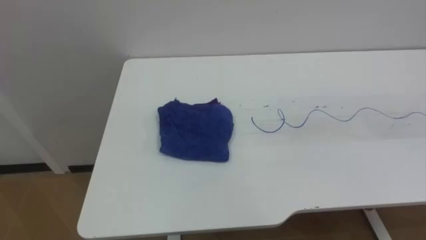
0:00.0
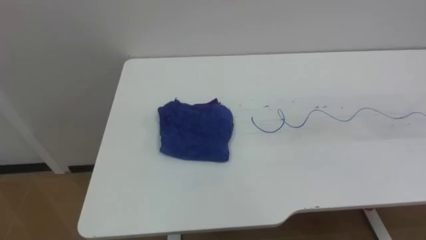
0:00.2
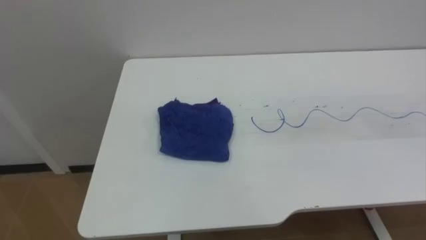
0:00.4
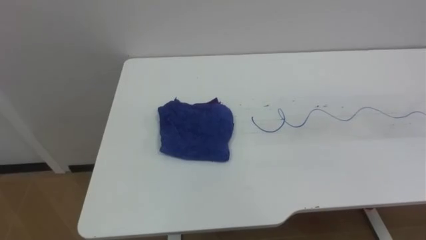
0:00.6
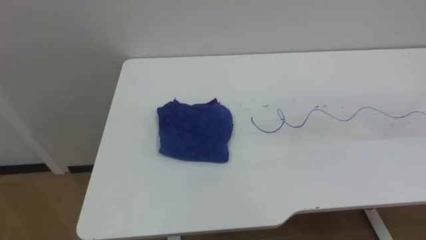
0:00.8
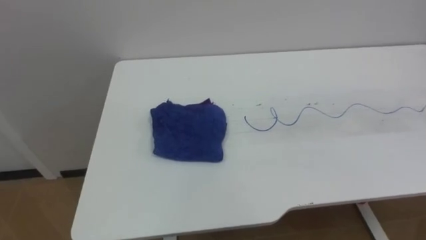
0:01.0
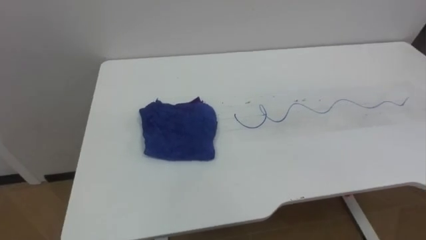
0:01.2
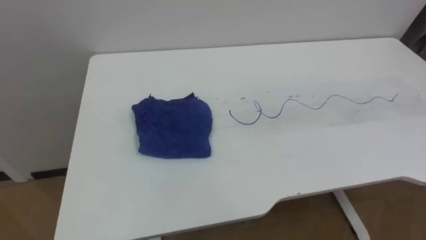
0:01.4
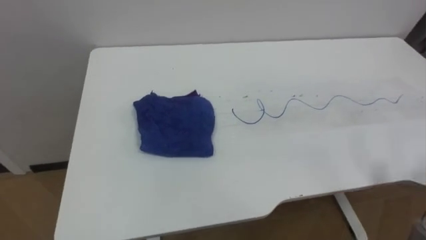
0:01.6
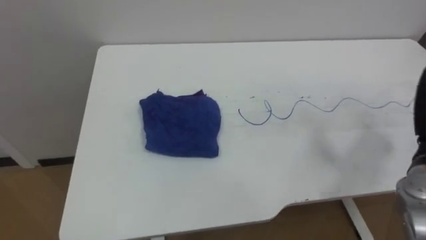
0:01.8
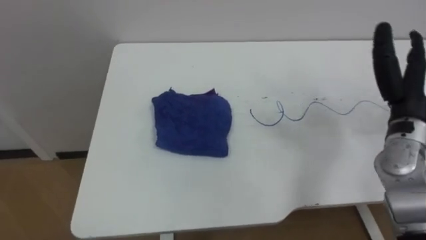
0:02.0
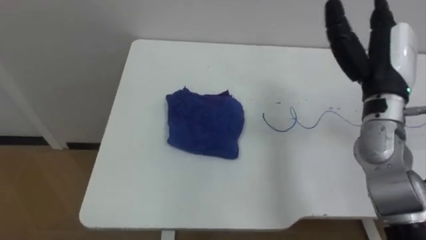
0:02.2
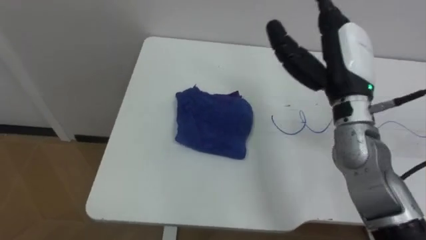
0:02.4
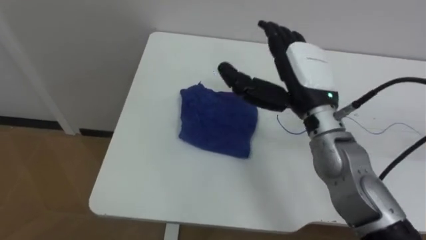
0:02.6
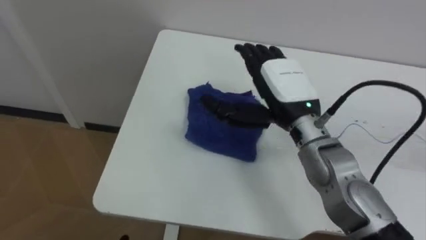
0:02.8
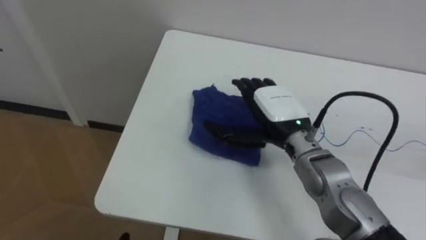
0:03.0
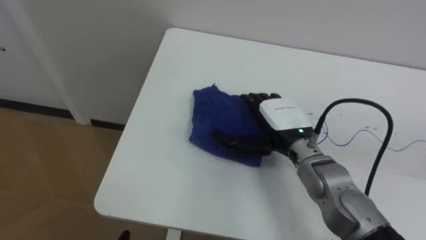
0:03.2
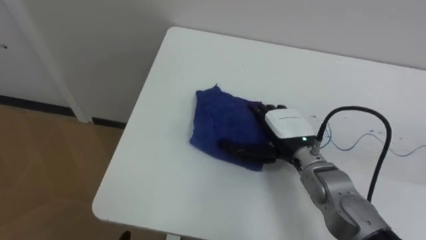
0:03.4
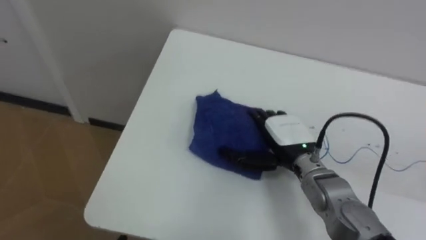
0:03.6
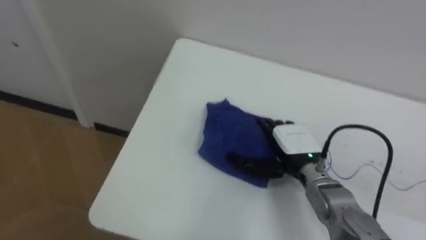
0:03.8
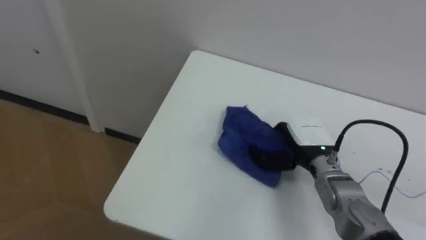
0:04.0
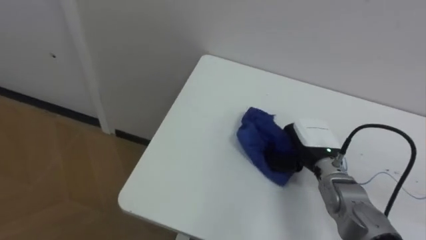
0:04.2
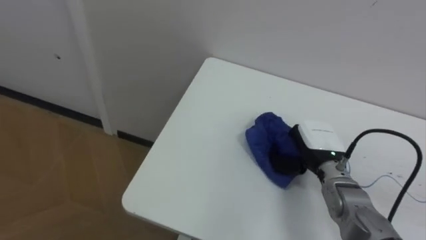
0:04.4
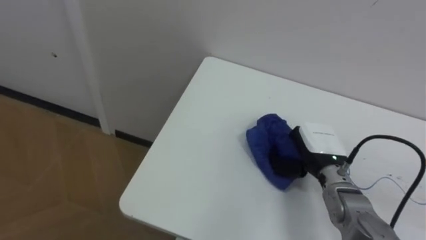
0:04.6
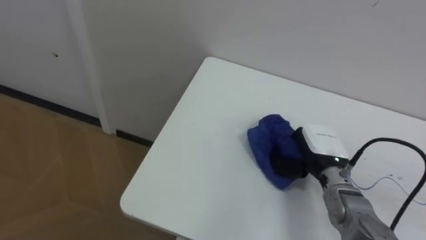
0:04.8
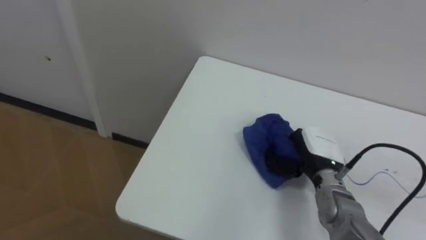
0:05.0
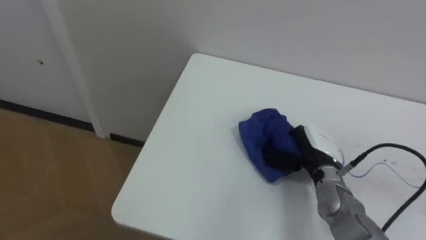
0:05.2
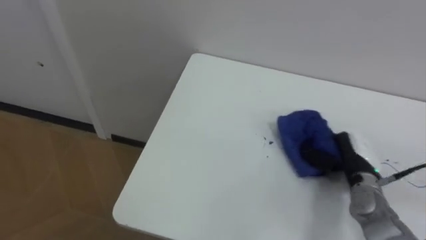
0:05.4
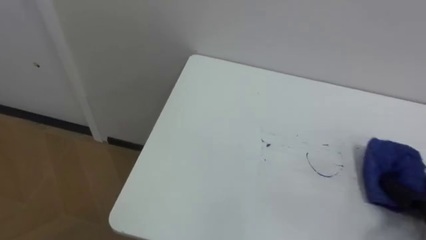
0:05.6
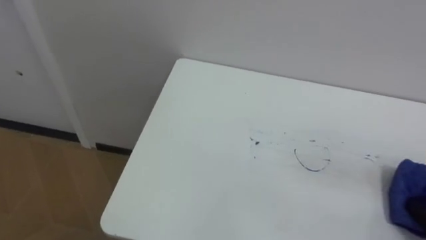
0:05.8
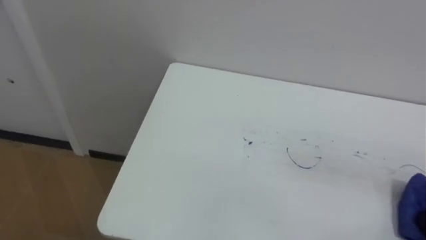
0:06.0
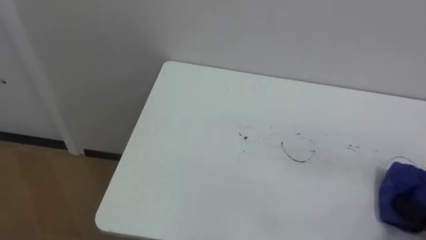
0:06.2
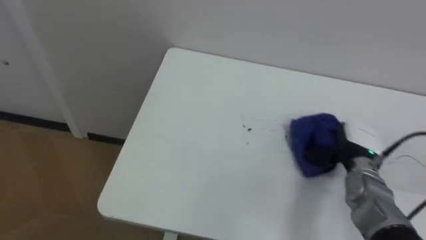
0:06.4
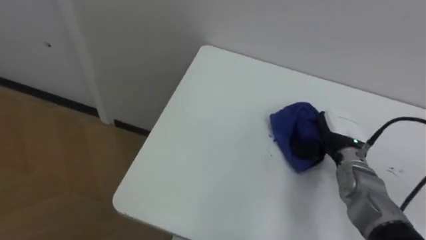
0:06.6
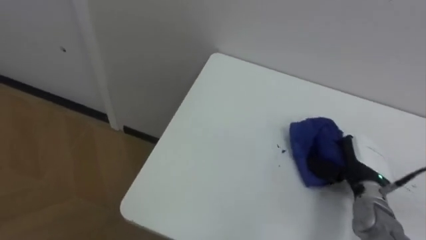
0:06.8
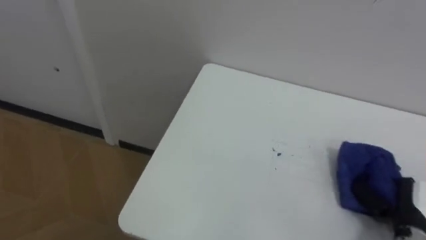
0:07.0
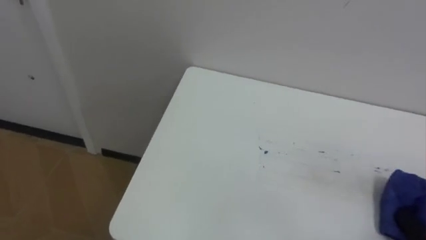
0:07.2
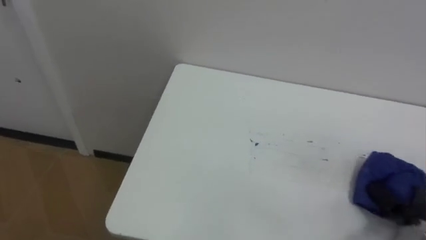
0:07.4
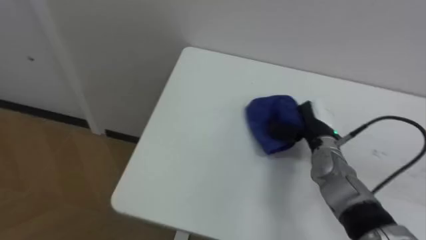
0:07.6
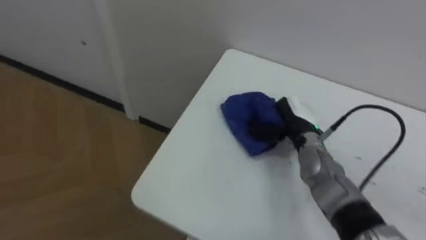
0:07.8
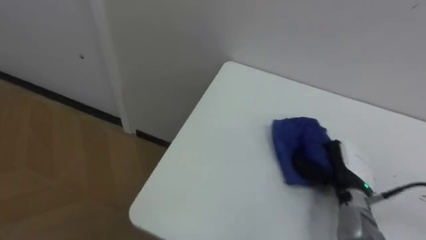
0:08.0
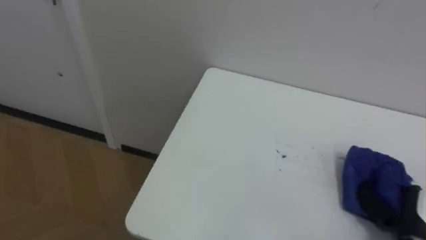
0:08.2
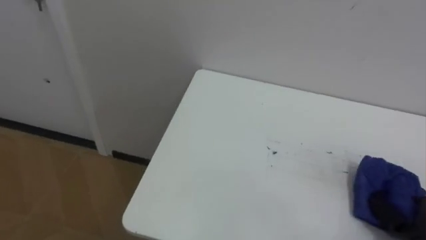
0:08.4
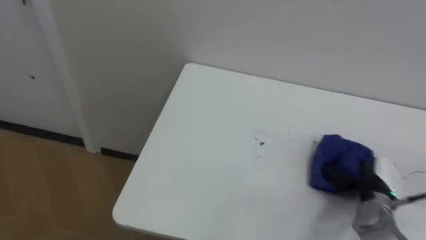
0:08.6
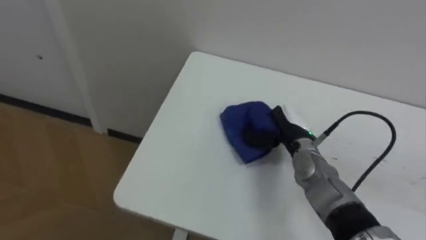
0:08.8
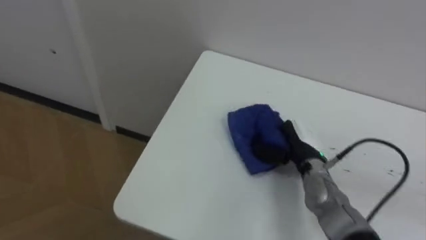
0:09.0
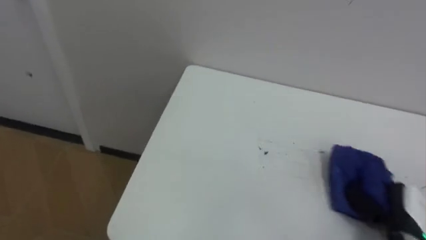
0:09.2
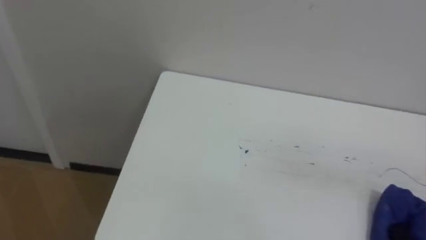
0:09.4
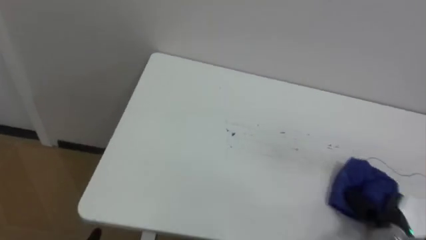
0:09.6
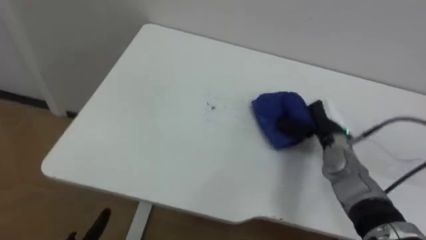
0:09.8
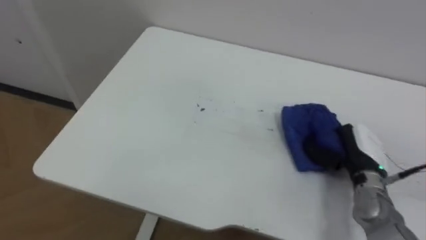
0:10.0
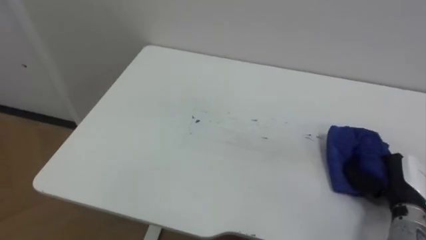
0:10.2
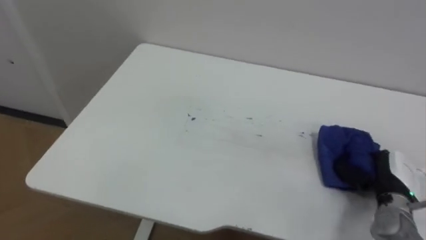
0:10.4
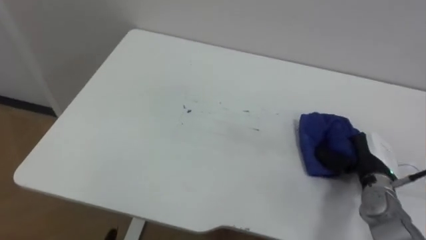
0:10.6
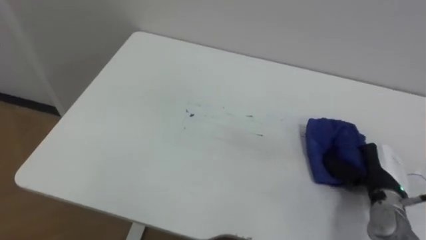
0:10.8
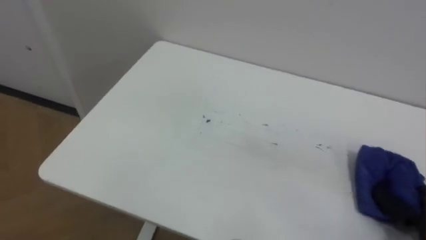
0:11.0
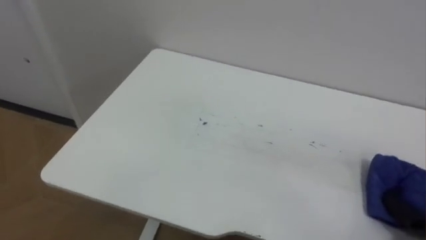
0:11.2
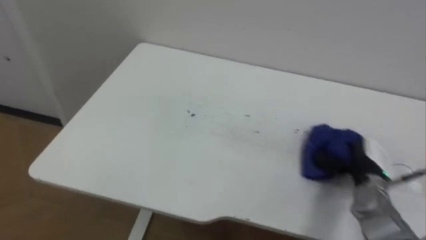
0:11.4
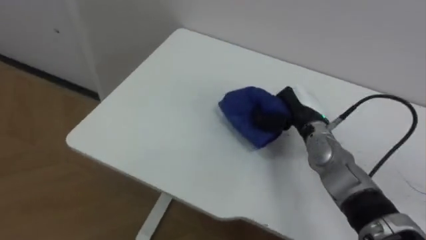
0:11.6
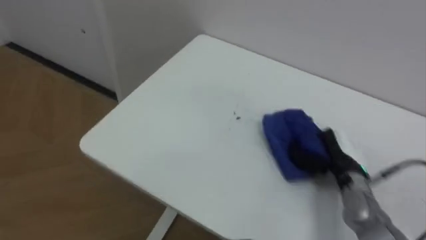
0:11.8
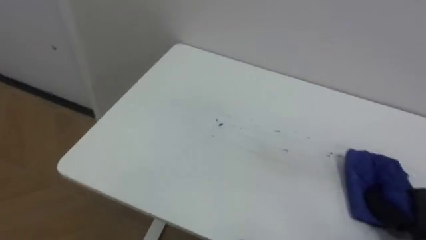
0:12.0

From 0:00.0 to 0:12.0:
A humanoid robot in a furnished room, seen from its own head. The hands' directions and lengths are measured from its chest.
Task of the whole recording: Wipe the blue pen marks off the table with the rag.
From 0:03.0 to 0:04.4: The right hand moves downward and to the right, roughly 15 cm, and closes.
From 0:07.6 to 0:09.0: The right hand goes left and right, approximately 25 cm each way, reversing 2 times.

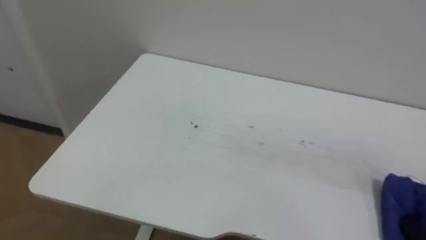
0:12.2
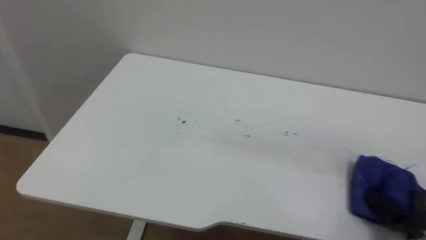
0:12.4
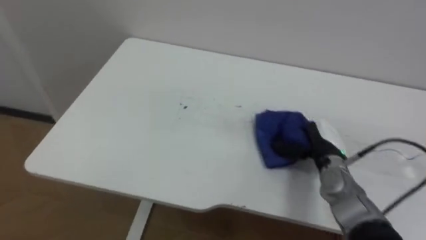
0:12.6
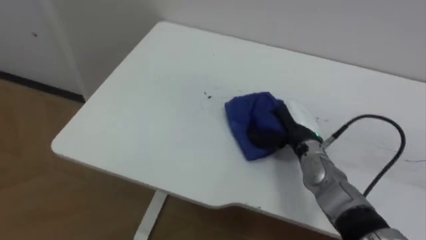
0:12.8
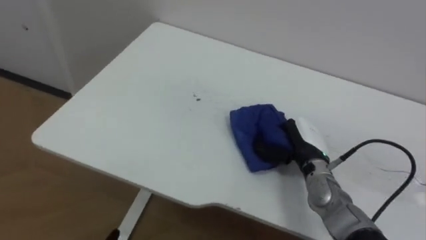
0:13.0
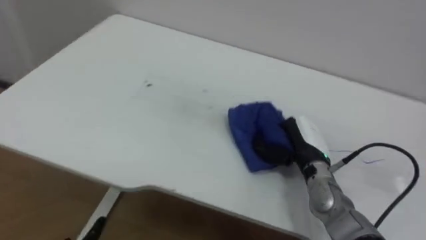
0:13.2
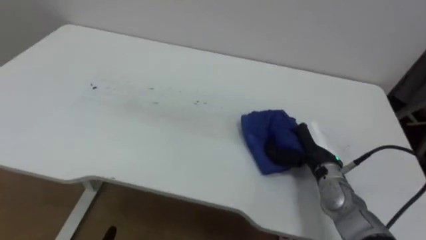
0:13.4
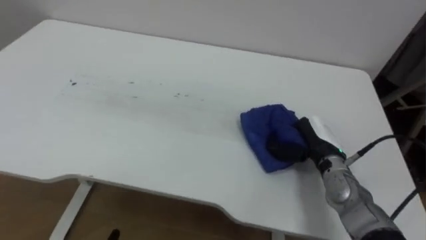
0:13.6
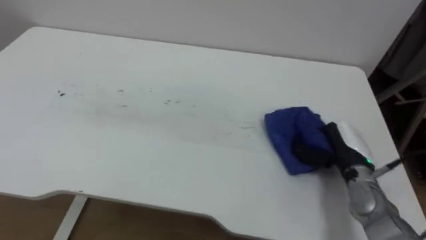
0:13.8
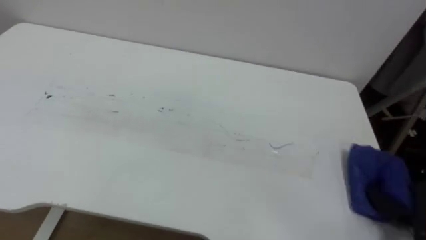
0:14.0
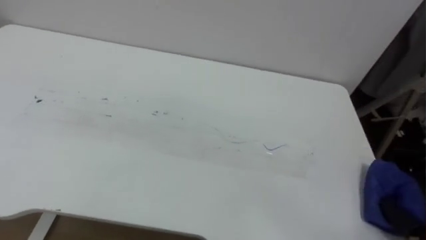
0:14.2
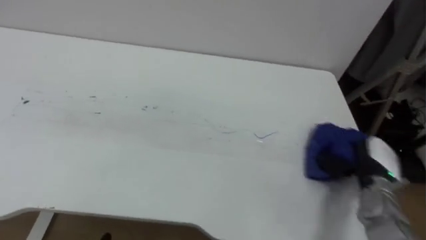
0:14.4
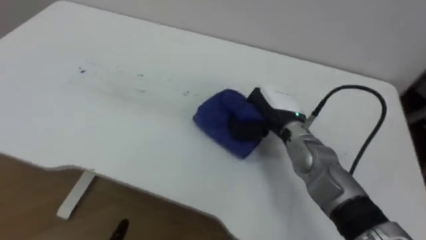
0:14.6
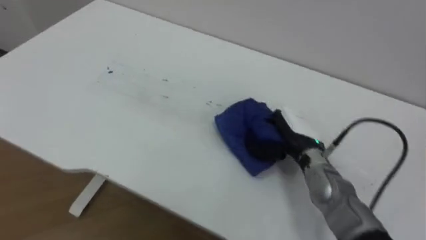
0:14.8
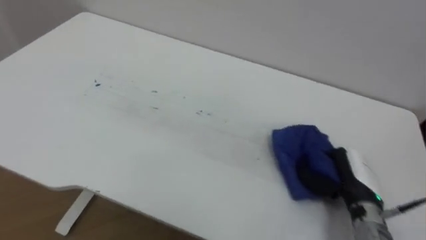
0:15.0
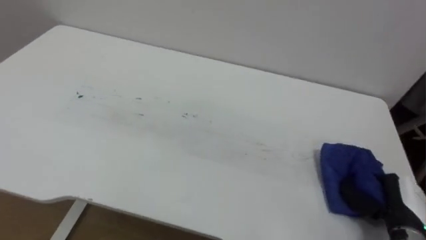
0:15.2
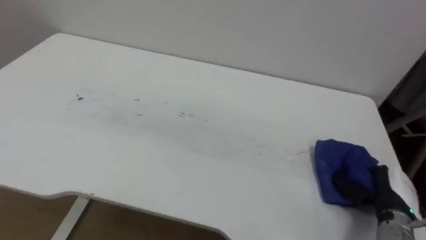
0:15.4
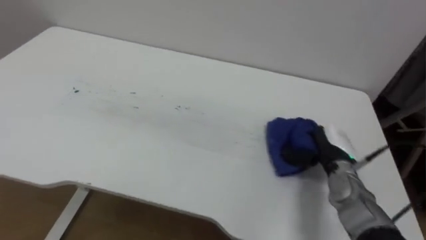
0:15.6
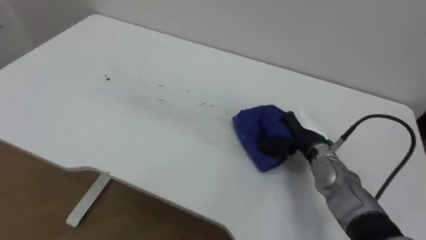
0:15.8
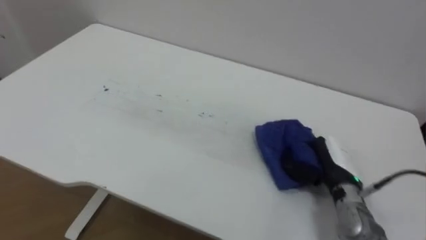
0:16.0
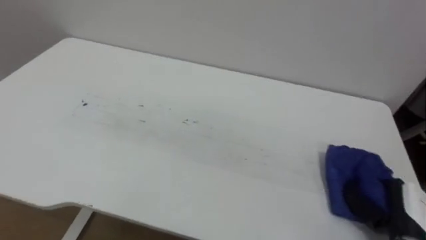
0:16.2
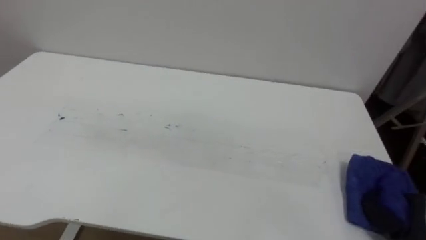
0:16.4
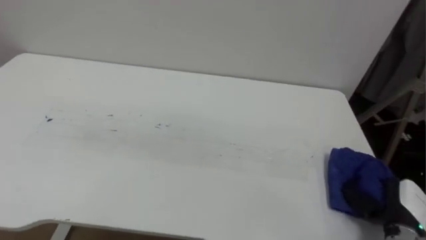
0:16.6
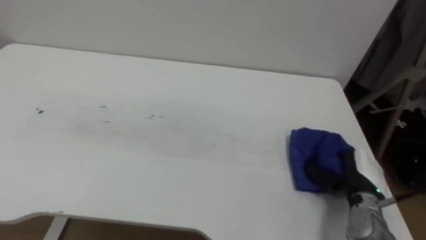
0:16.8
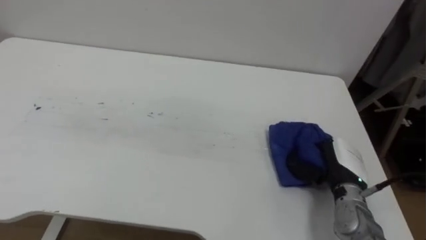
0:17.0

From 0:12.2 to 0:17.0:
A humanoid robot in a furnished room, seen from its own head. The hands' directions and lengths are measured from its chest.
Task of the whole recording: Wipe the blue pen marks off the table with the rag.
From 0:15.4 to 0:17.0: The right hand goes forward and backward, about 20 cm each way, reversing 2 times.
